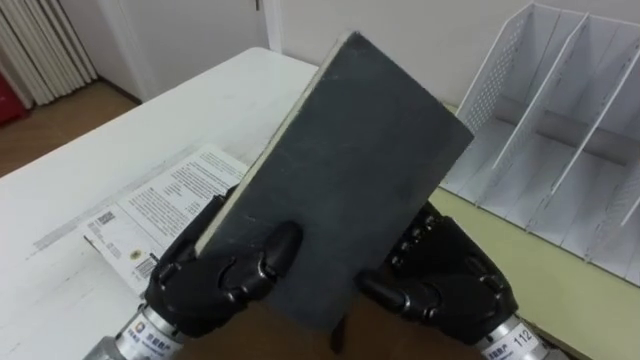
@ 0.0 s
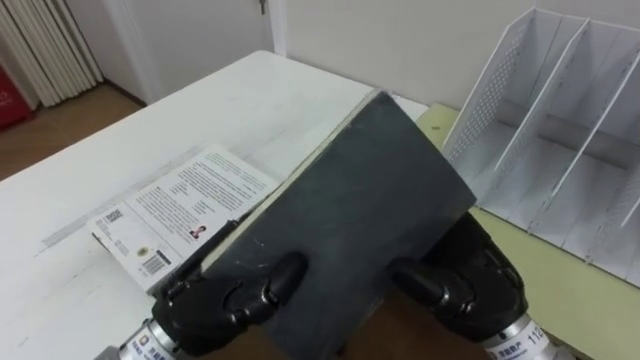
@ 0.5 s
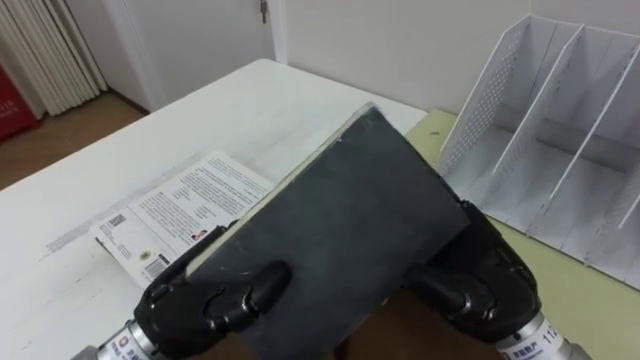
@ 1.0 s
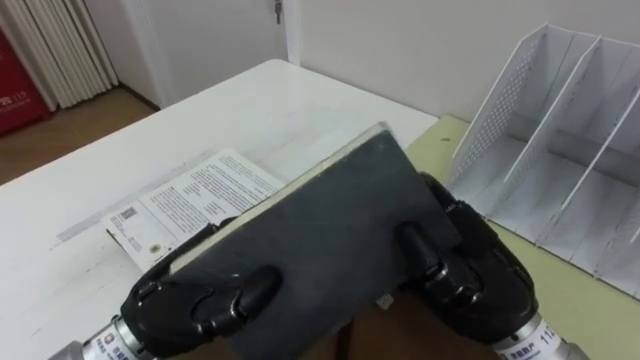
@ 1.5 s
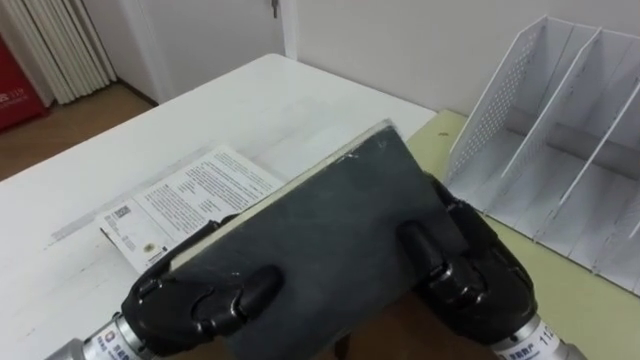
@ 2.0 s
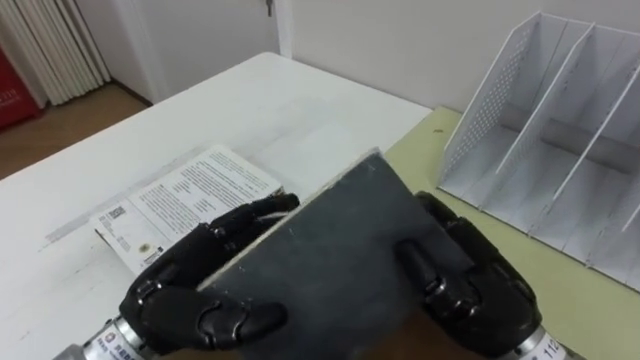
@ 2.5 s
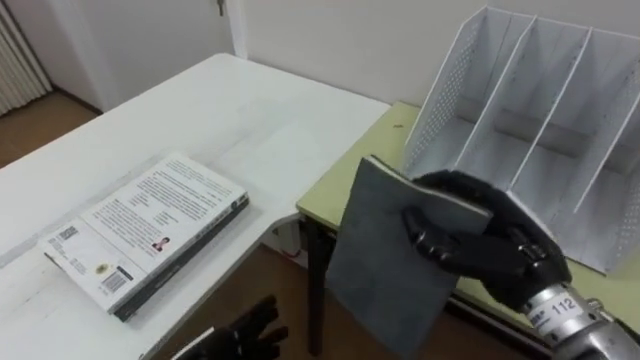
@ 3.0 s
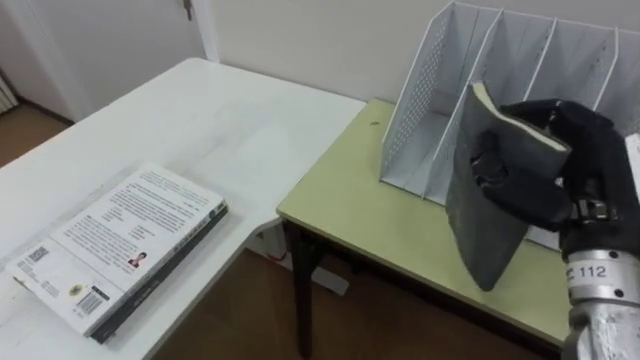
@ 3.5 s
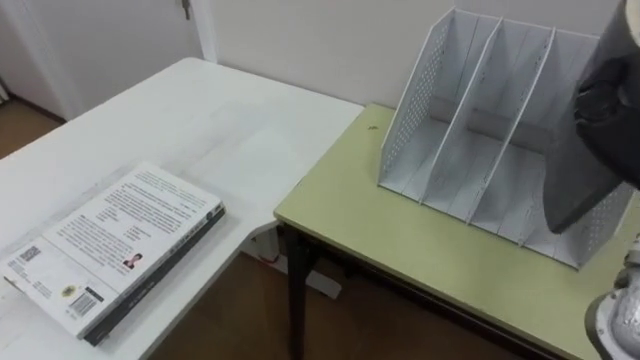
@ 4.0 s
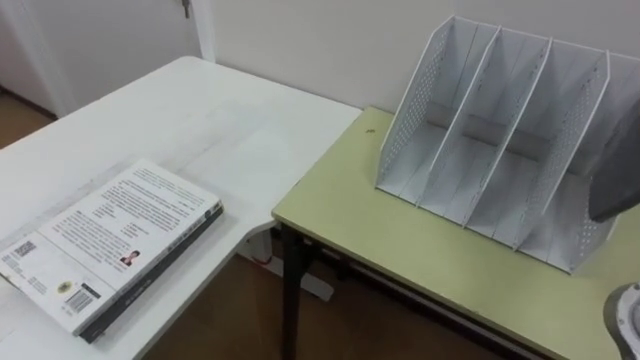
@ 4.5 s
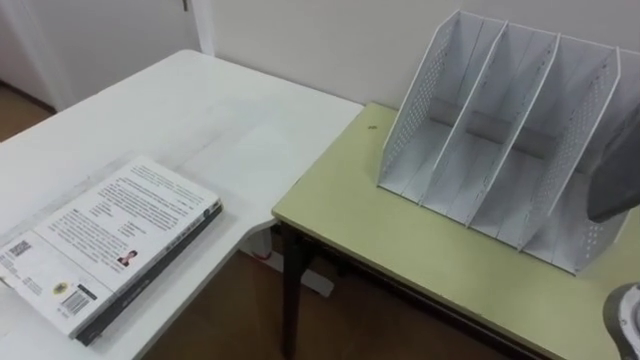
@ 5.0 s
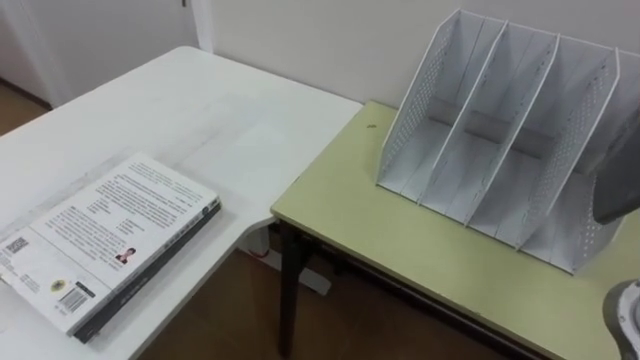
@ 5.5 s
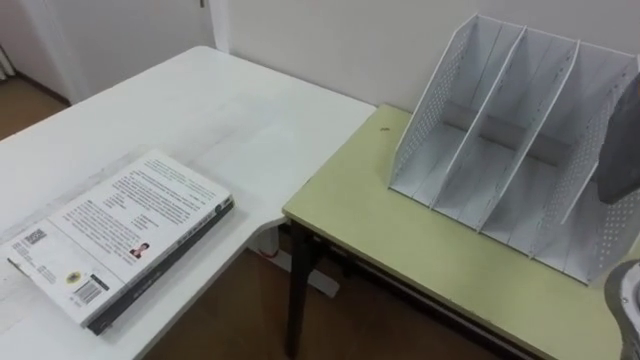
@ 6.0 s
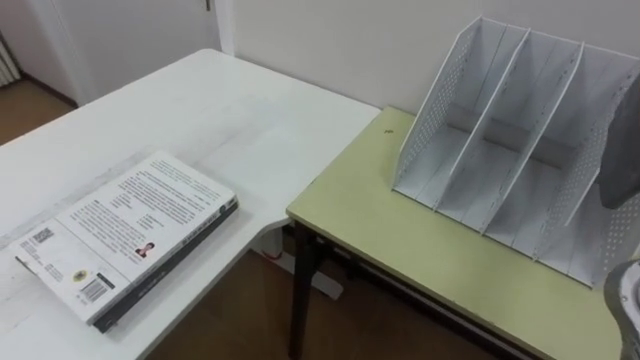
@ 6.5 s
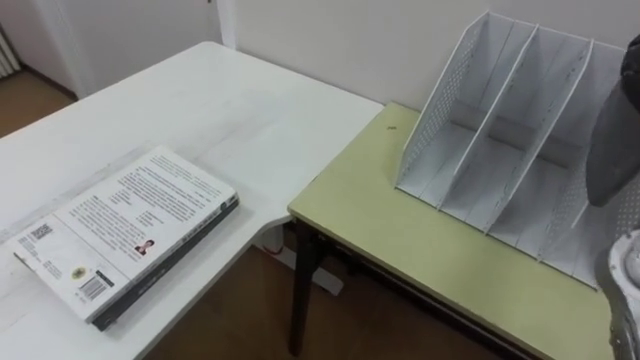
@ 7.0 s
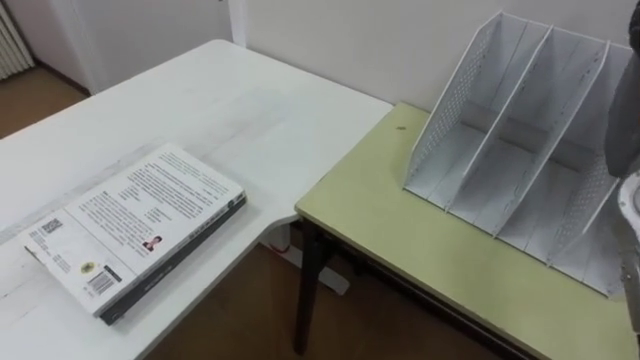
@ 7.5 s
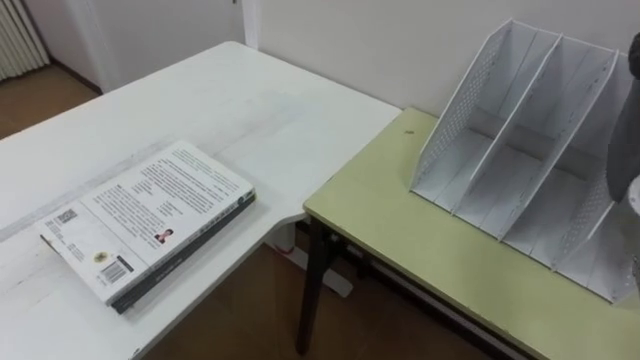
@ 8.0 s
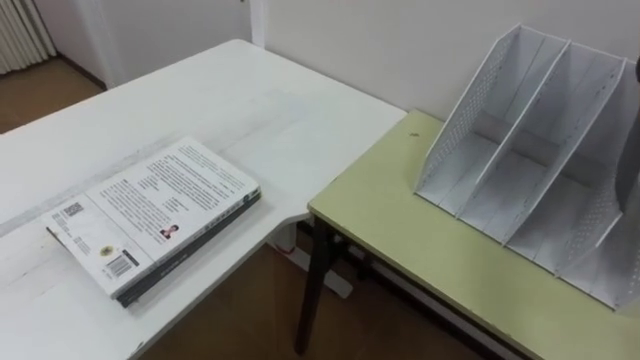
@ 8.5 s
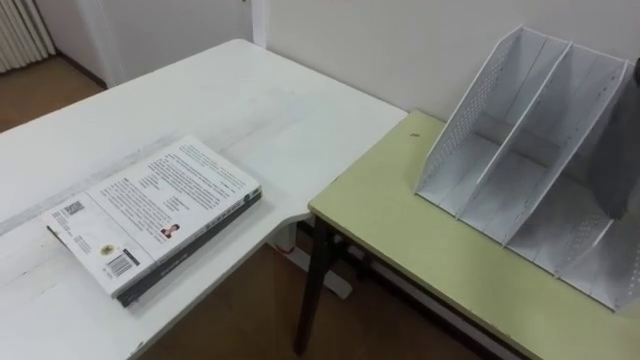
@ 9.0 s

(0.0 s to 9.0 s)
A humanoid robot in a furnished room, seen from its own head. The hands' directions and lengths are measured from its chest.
Task of the whole recording: Put the books on the table onto the bookshelf.
0.0 s - 2.0 s: The right hand closes.

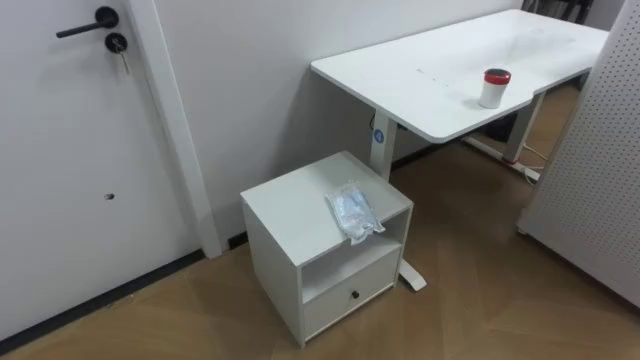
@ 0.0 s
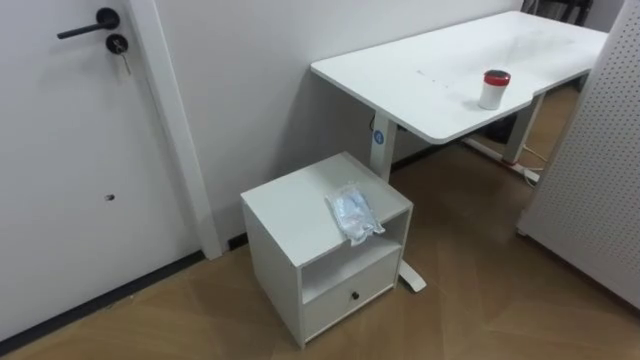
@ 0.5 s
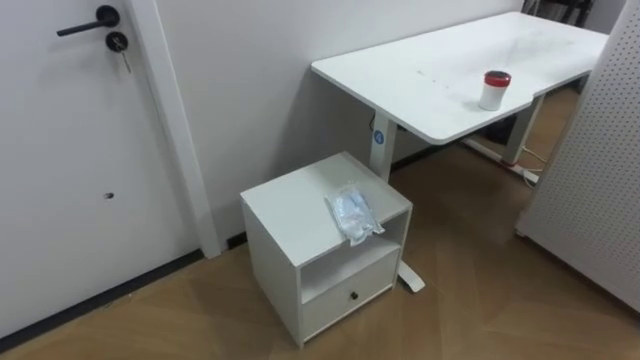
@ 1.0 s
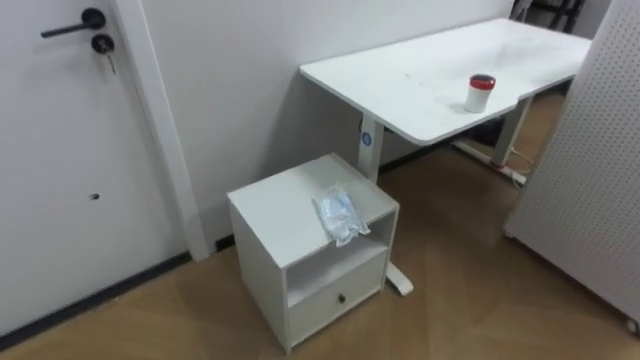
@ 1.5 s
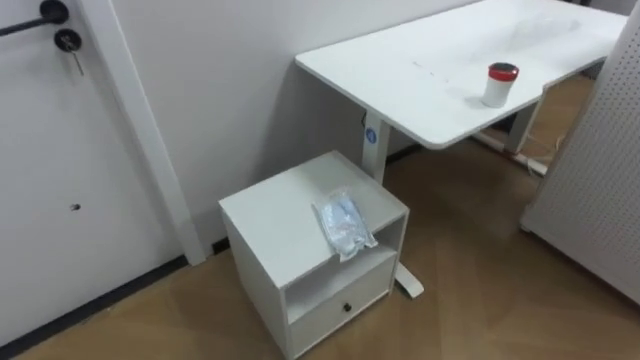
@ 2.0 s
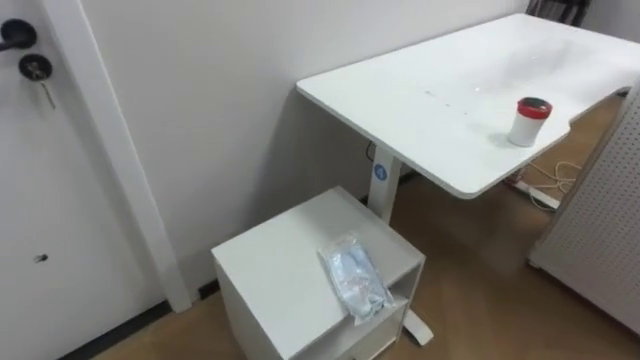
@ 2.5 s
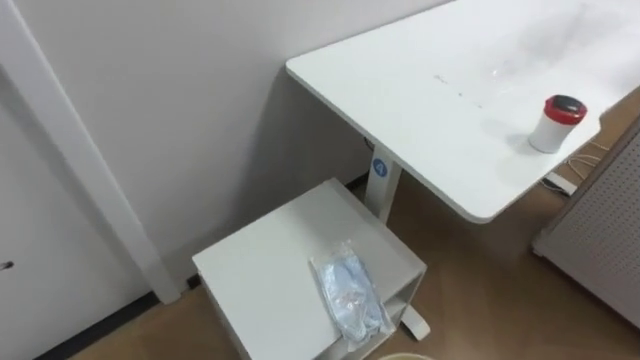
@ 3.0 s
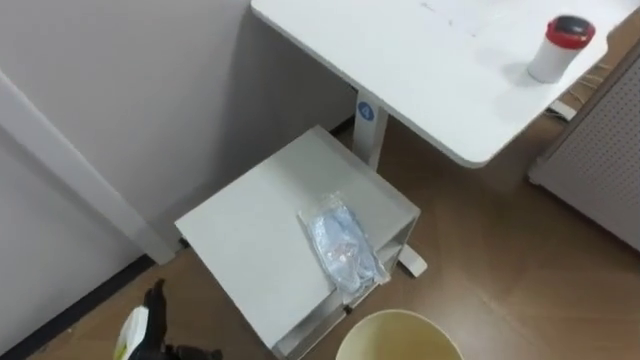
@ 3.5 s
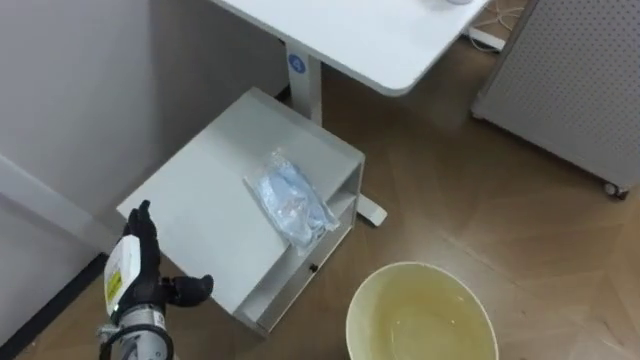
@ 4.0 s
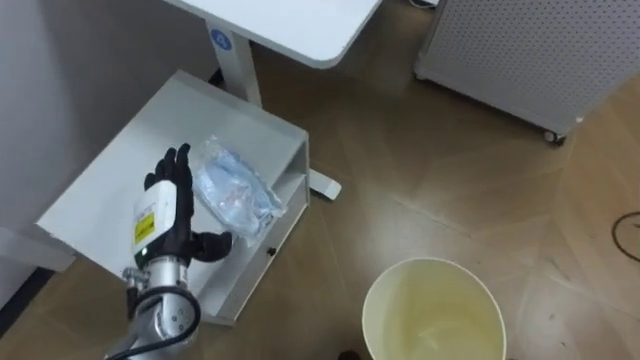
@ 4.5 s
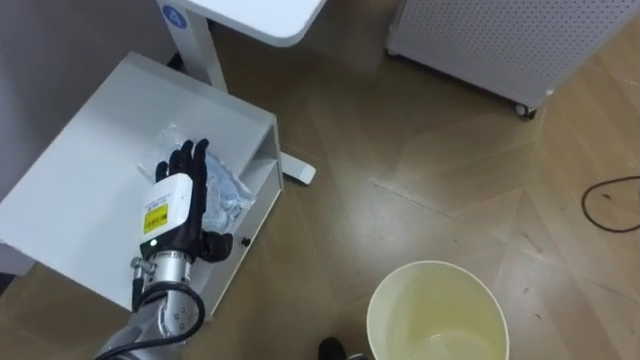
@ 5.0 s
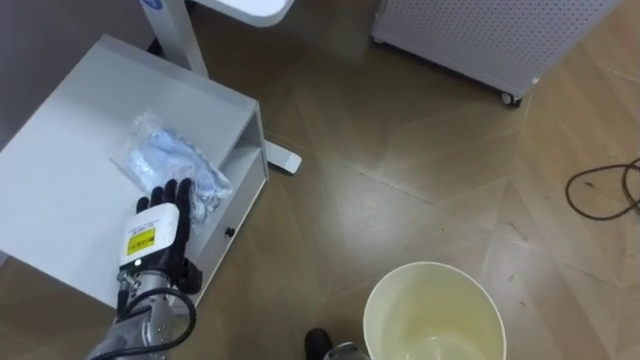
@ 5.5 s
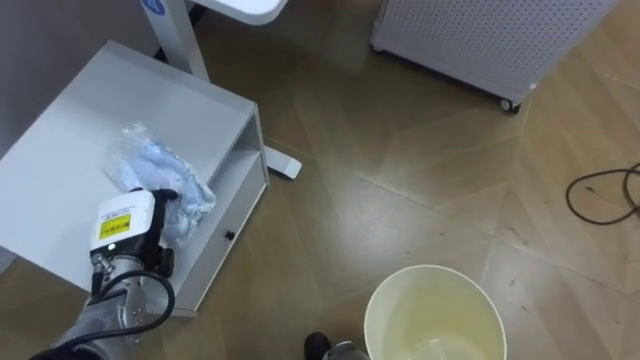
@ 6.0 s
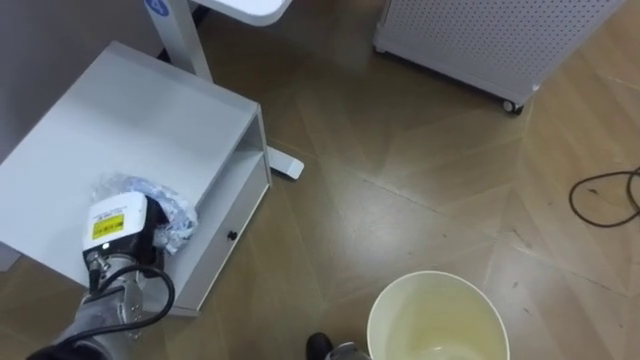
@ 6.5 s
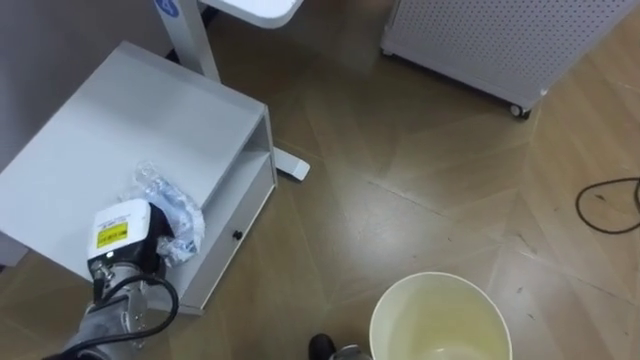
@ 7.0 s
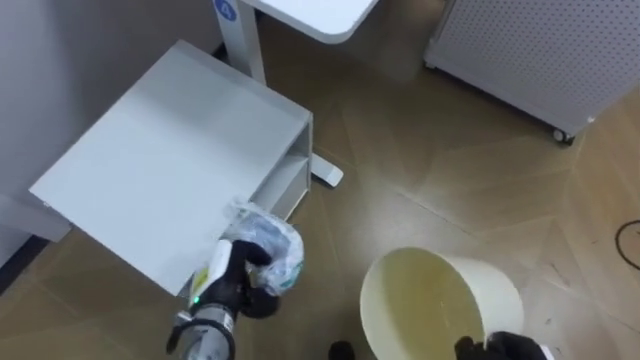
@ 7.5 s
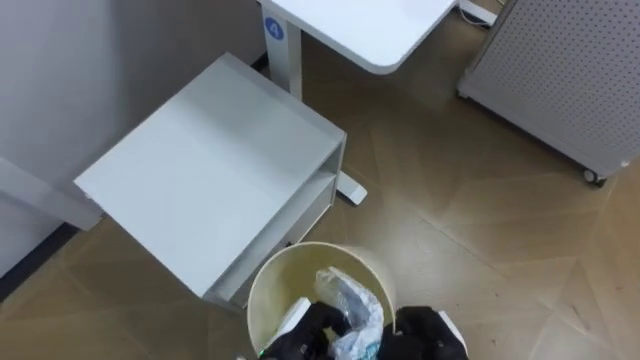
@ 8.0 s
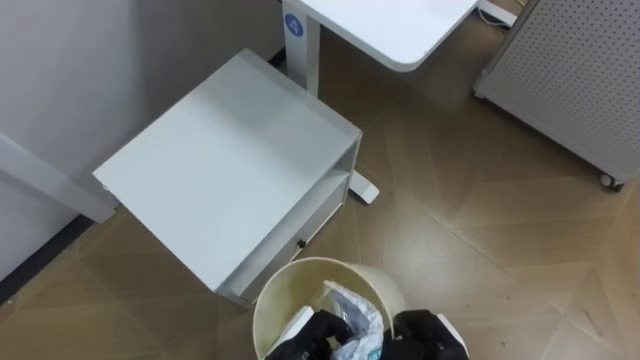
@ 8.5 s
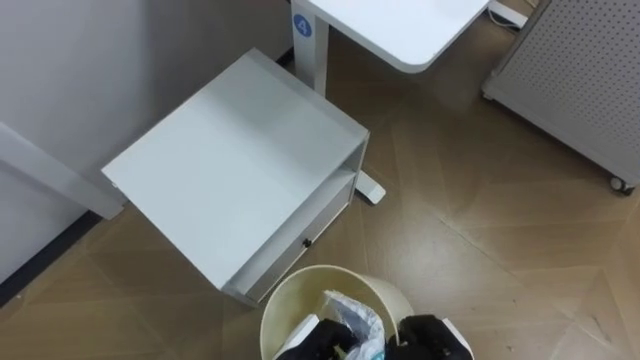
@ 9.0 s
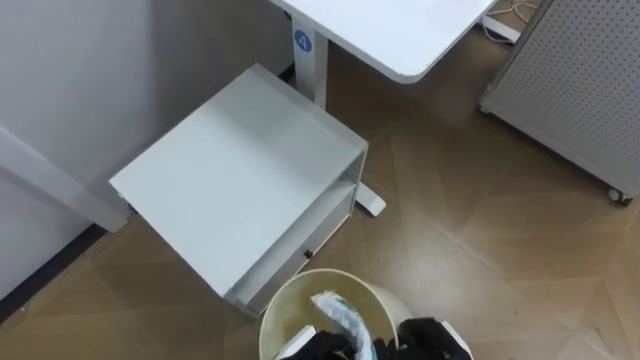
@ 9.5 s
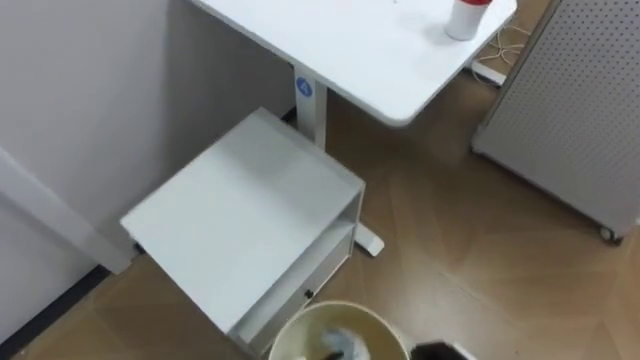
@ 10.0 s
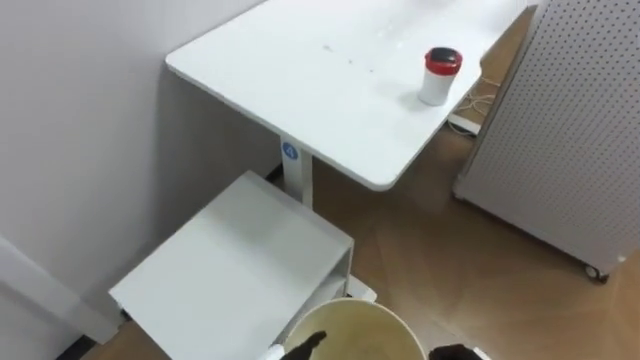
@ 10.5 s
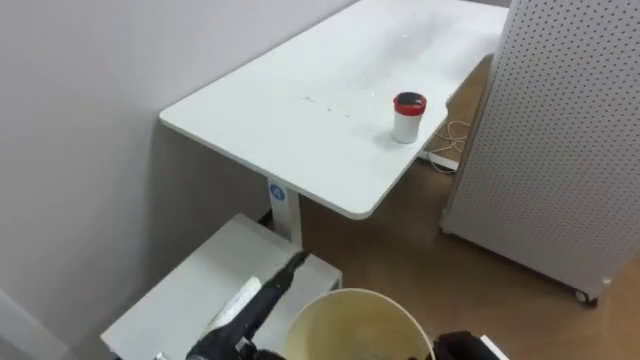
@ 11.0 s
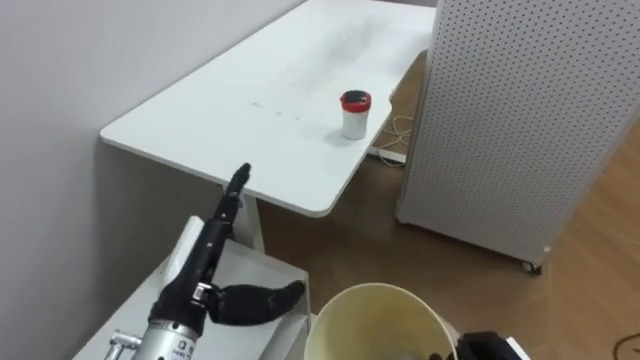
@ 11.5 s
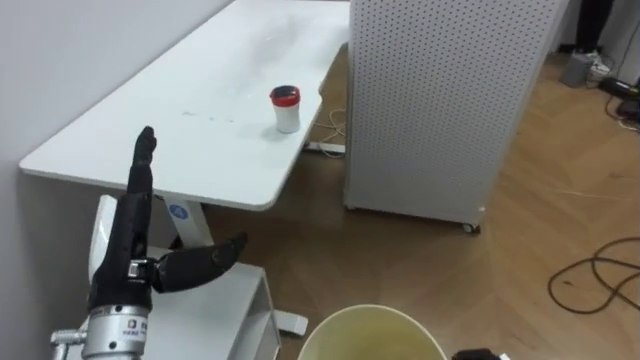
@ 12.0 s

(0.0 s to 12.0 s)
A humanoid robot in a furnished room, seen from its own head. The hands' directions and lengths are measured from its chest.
Task of the whole recording: Pick up the light blue package, the candy box, and the dark blue package separately, and put them into the trash can held in your right hand.
6.0 s - 8.0 s: The left hand moves to the right, backward and downward, roughly 25 cm, and closes up.
10.0 s - 12.0 s: The robot's body swings some 35 degrees to its right.
